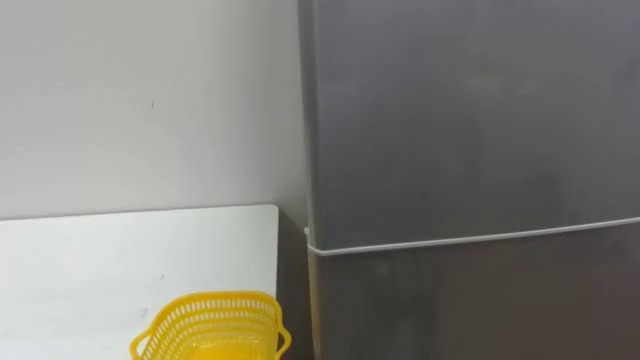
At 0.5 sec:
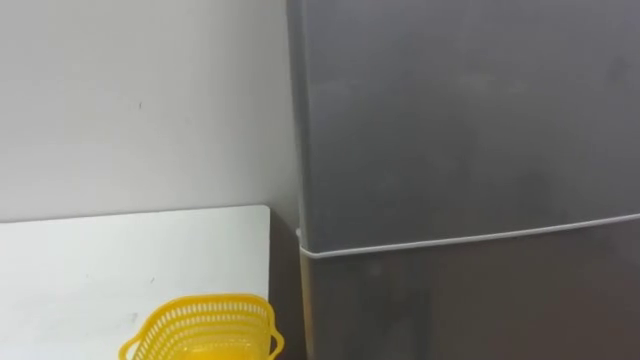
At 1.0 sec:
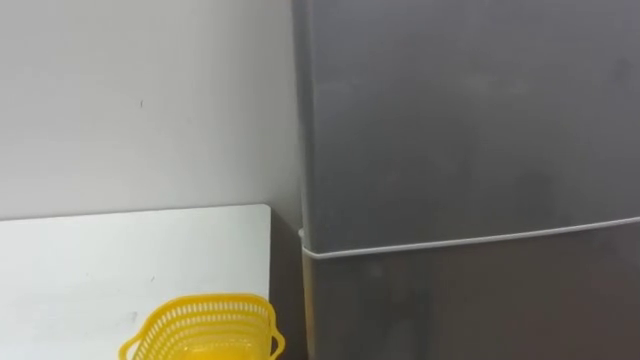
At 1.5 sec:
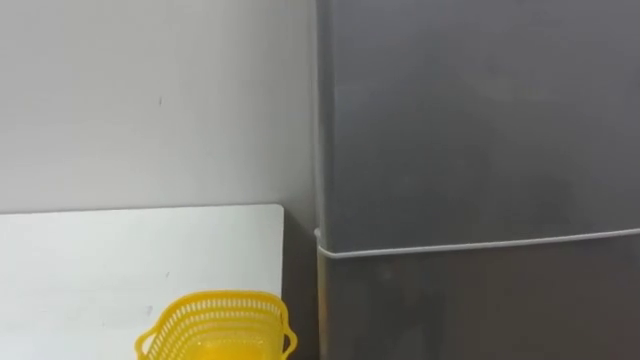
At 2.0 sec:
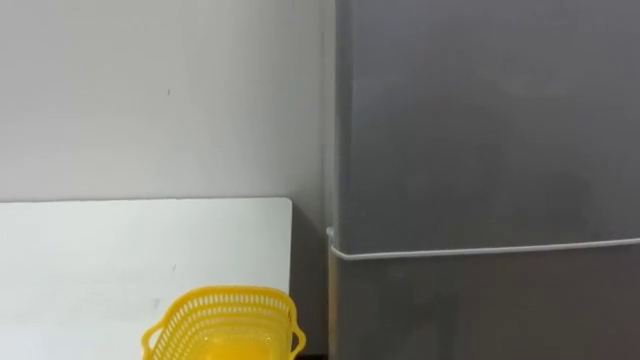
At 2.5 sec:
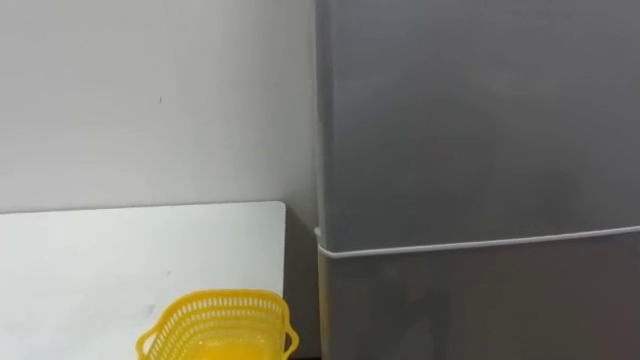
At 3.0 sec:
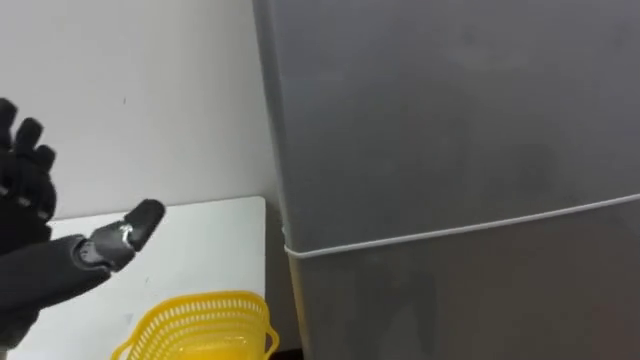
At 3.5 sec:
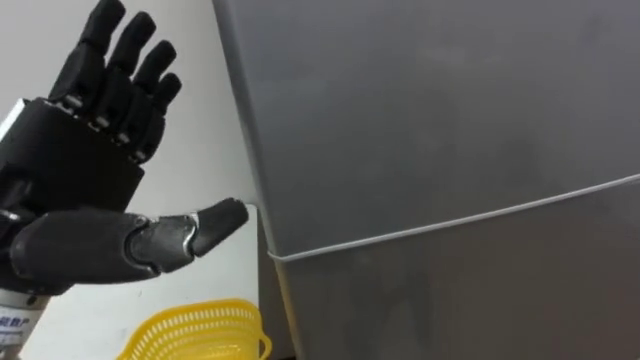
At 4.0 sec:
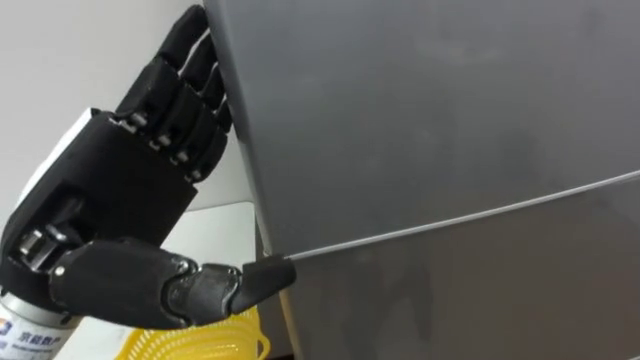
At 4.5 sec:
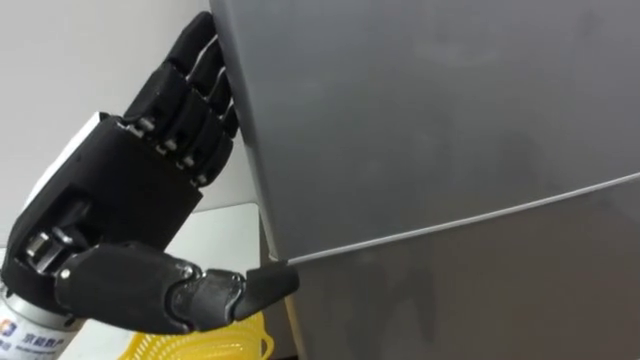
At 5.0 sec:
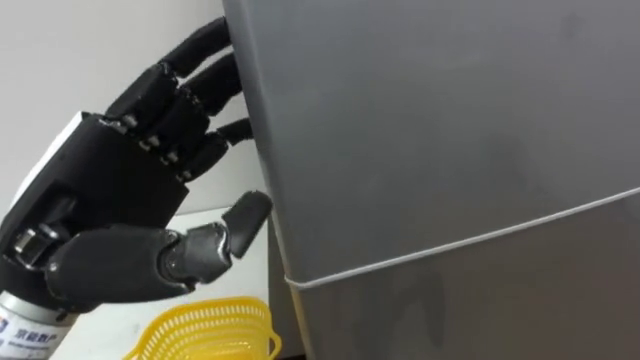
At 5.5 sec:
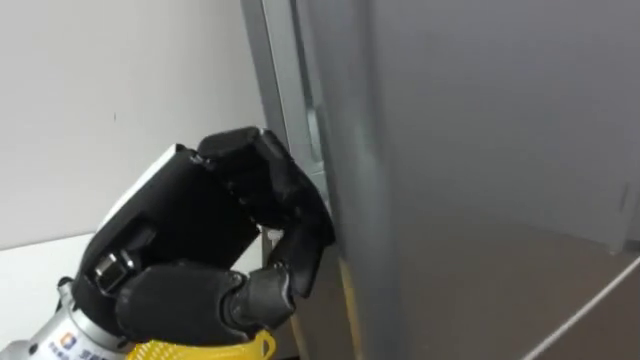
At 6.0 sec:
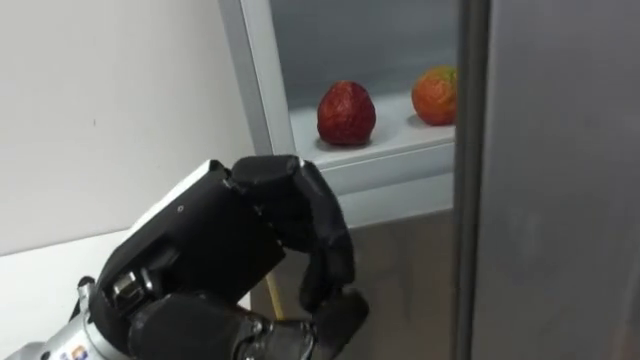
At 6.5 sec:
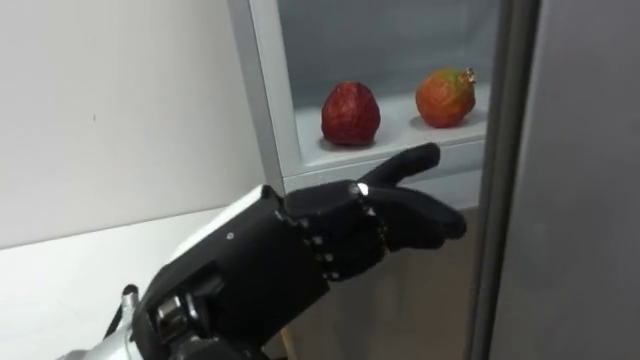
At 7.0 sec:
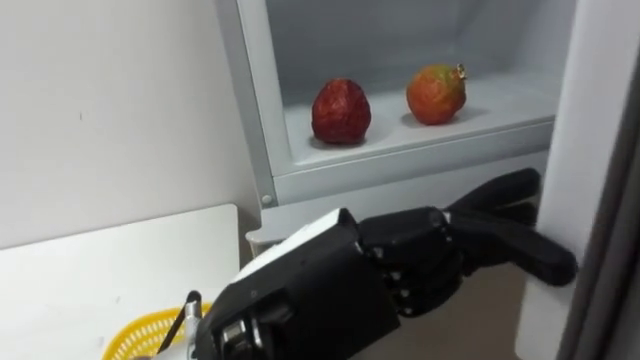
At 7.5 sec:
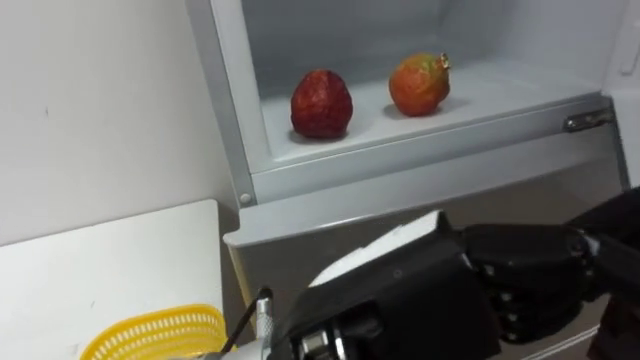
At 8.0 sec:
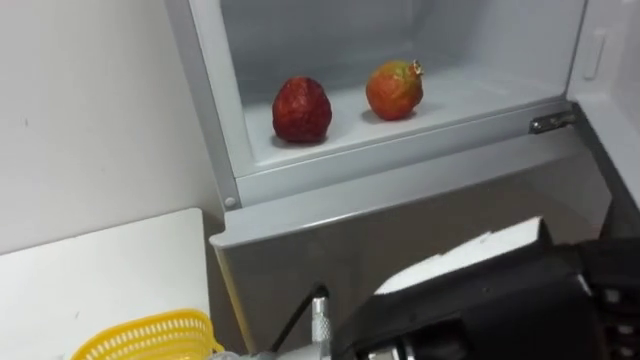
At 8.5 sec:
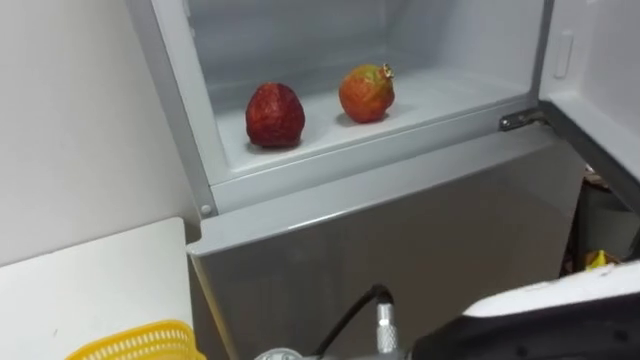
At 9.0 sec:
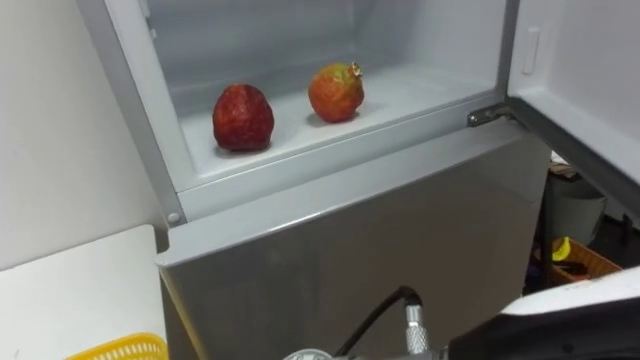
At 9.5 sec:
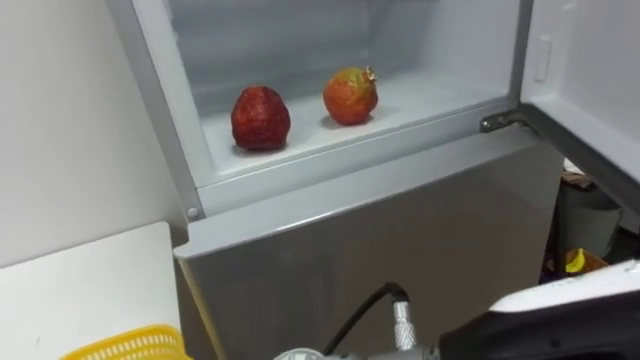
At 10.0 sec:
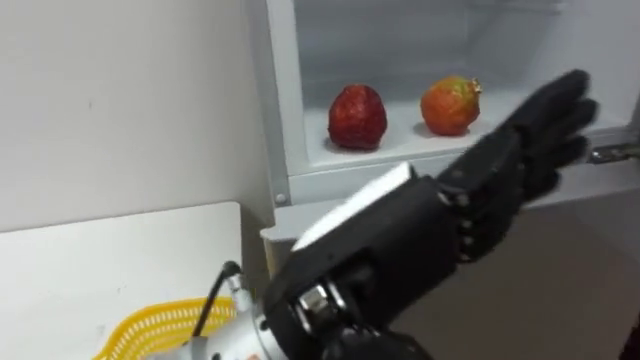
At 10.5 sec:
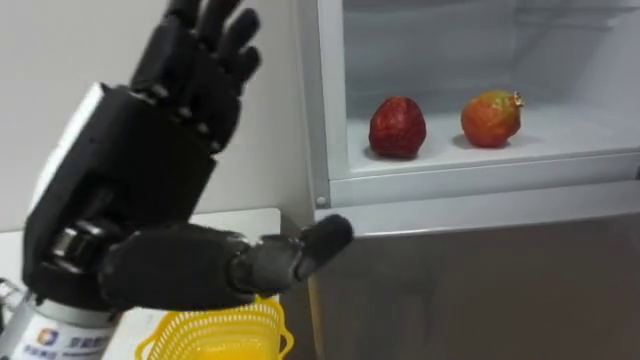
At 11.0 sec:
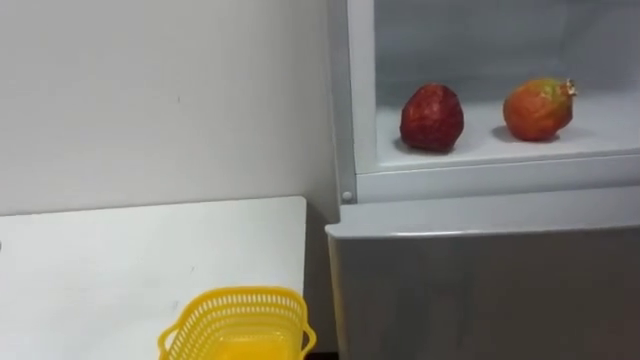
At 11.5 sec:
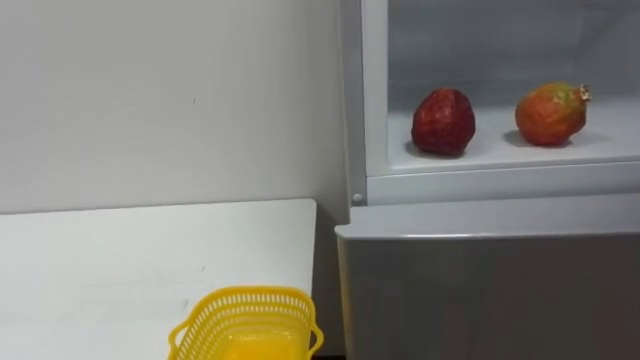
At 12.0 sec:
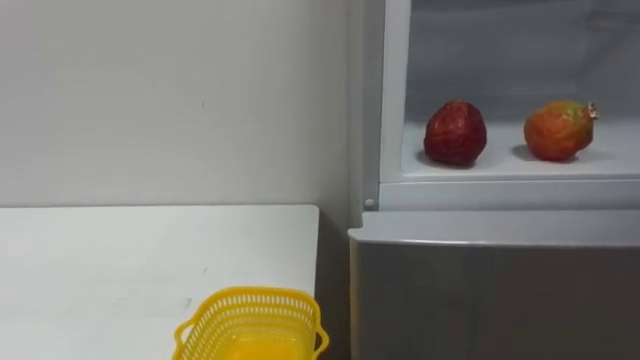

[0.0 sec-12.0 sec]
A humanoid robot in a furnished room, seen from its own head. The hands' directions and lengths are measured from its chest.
Task of the whole recording: Open the refrigerator door, take out the apple and the pomegranate, place them in the fruit basket on the left, and close the refrigerator door.
4.0 sec to 6.0 sec: The left hand heads to the right, covering about 5 cm, and closes.
6.0 sec to 8.0 sec: The left hand heads to the right and backward, covering approximately 15 cm, and opens.
8.0 sec to 10.0 sec: The left hand travels to the right and back again, about 5 cm each way.

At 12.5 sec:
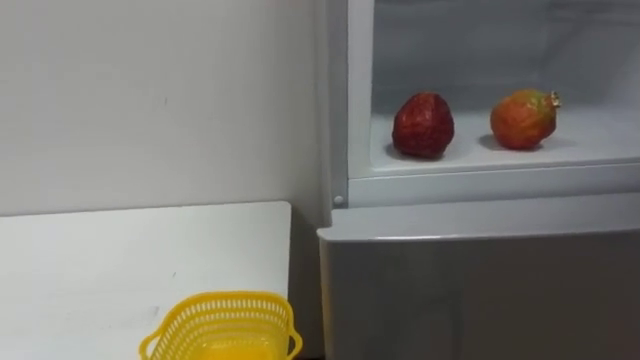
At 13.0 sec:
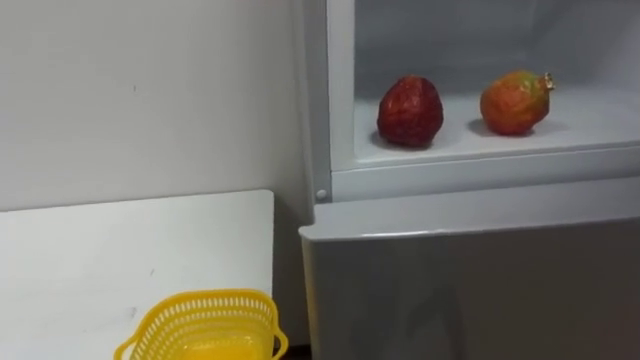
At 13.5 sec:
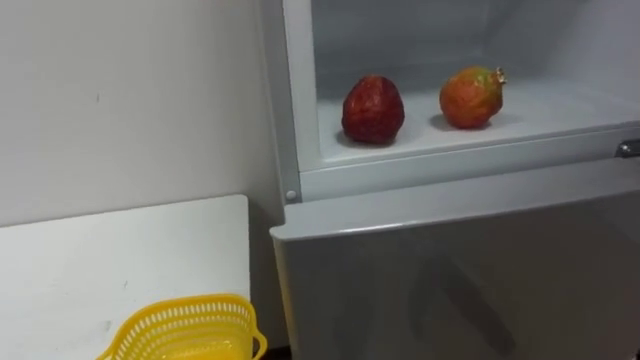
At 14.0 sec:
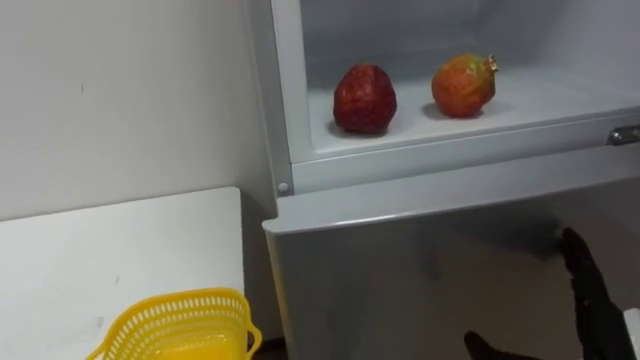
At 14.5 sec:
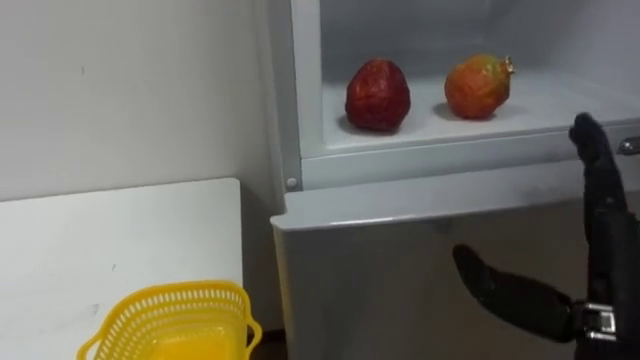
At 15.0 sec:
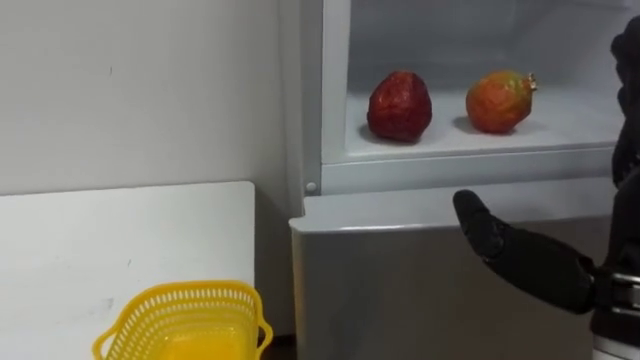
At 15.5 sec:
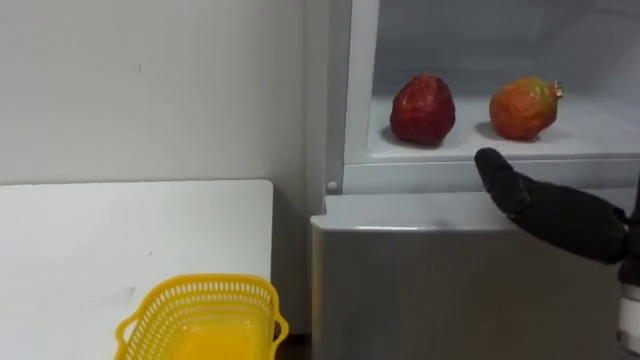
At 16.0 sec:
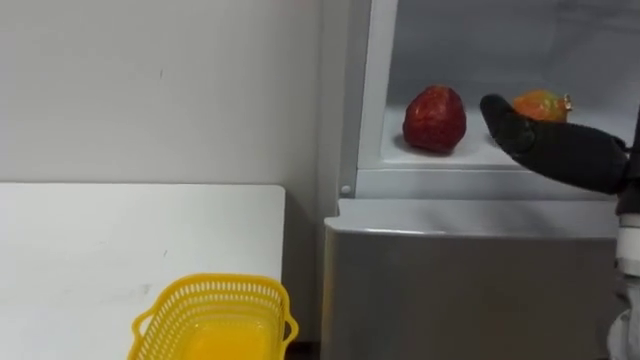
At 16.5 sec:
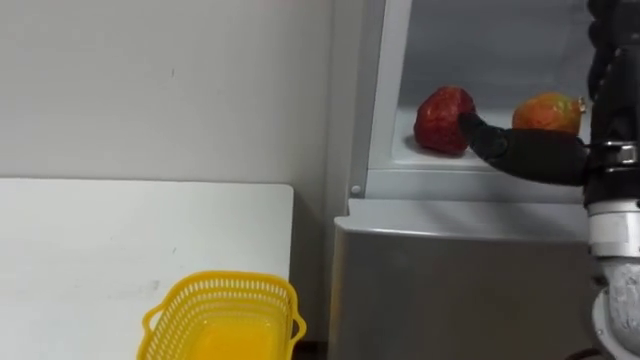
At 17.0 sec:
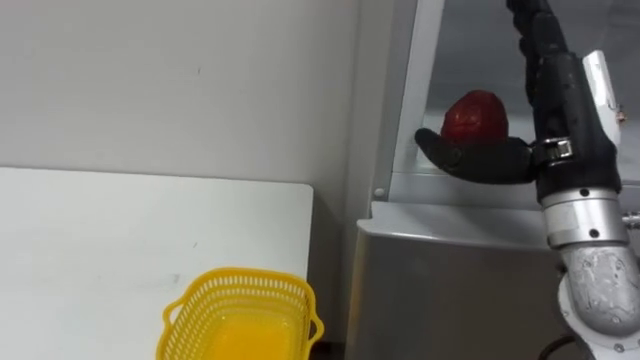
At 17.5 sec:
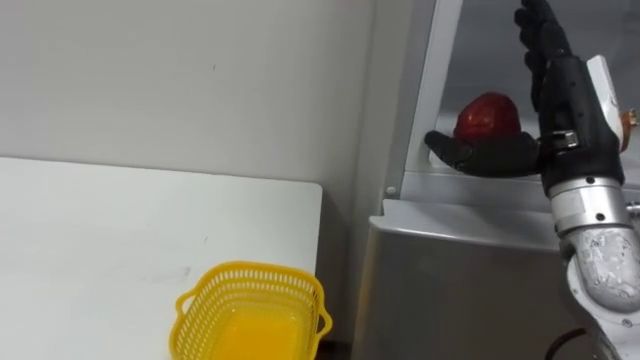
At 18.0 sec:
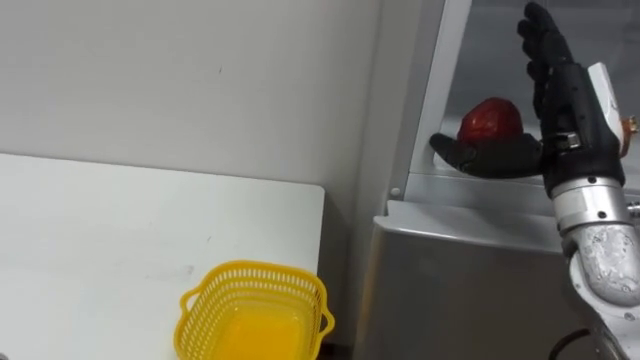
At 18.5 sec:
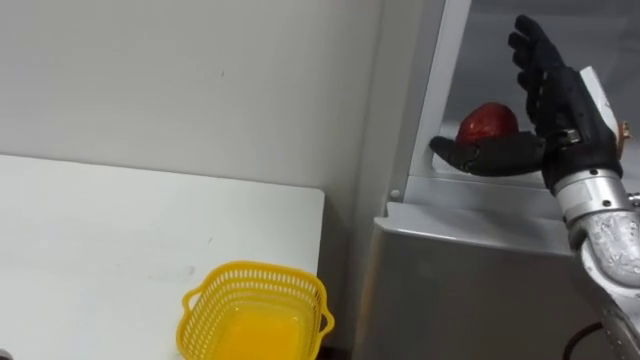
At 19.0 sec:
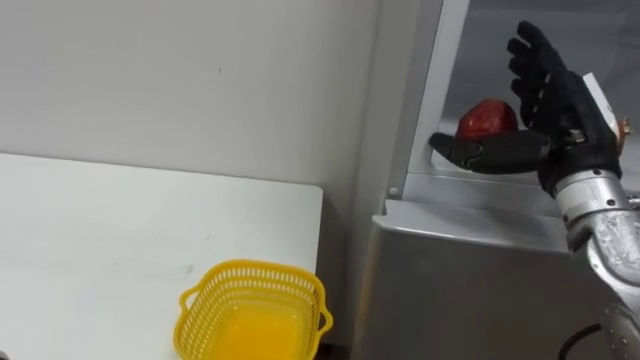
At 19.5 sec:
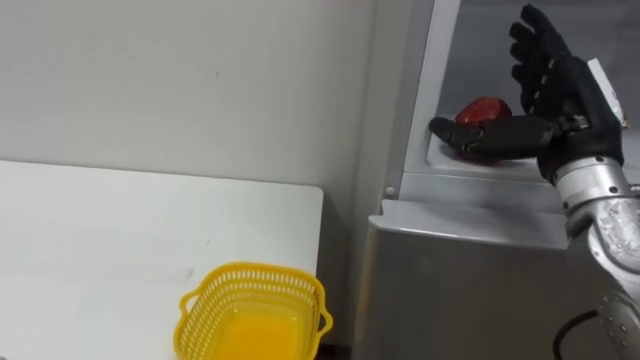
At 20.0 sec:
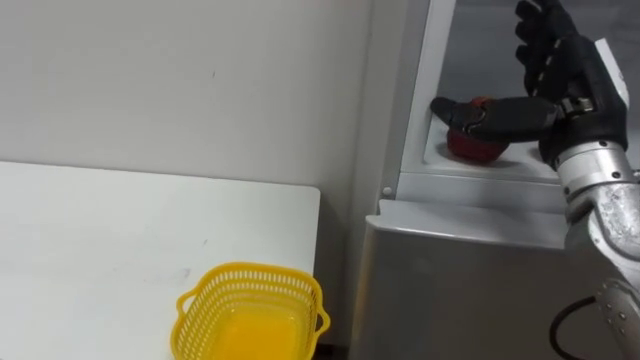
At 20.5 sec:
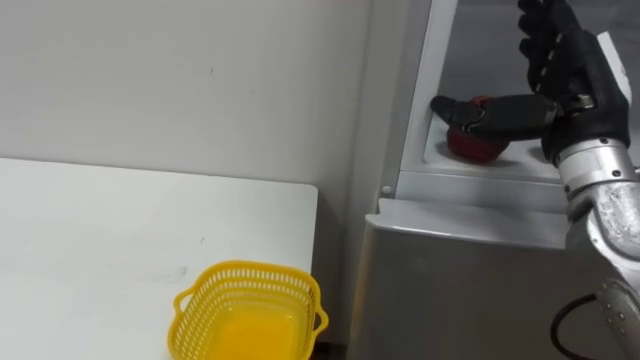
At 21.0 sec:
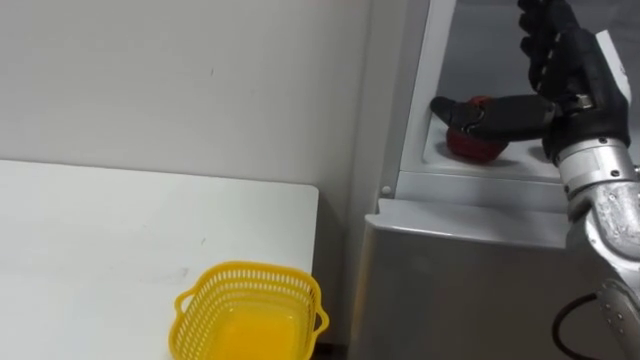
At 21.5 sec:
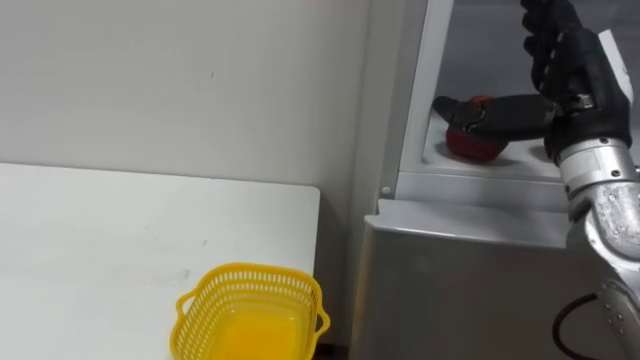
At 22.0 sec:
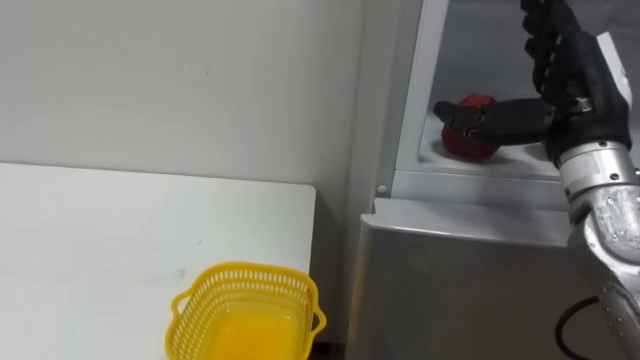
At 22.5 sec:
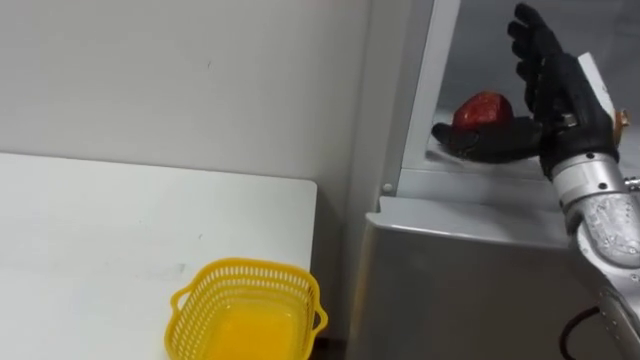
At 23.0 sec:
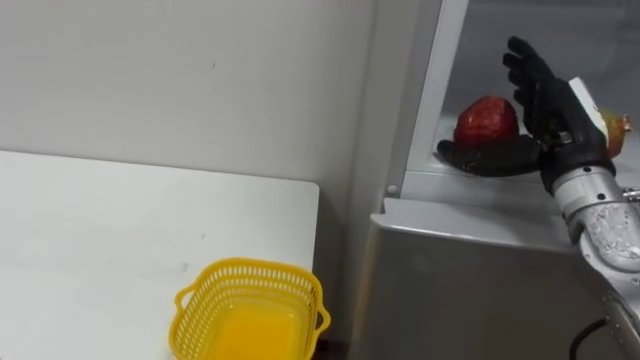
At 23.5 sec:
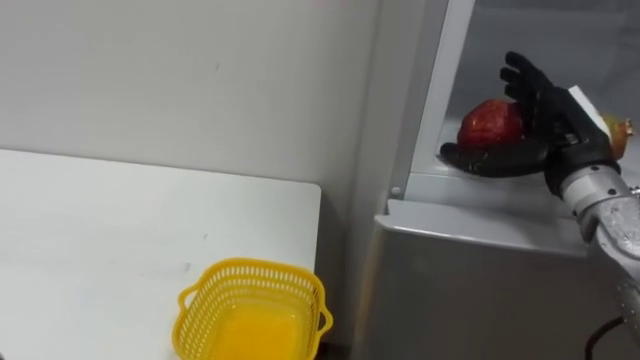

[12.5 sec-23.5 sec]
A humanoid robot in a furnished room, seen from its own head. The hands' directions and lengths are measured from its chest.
Task of the whole recording: Open the refrigerator door, take out the apple and the pomegranate, place them in the fruit basket on the left, and close the refrigerator door.
21.5 sec to 23.5 sec: The right hand heads downward, covering roughly 5 cm.
